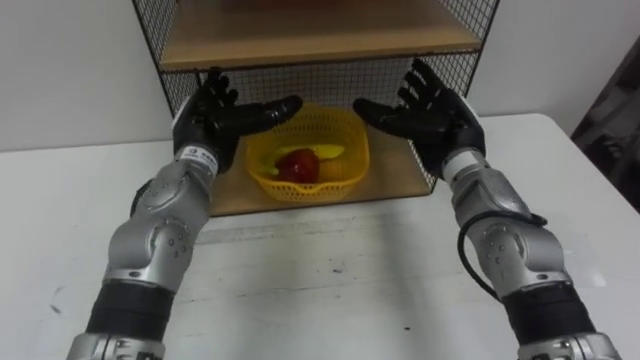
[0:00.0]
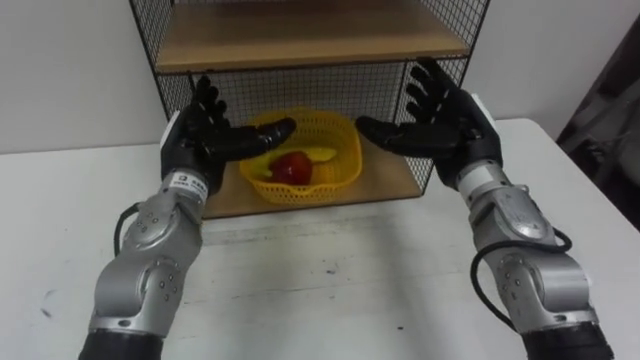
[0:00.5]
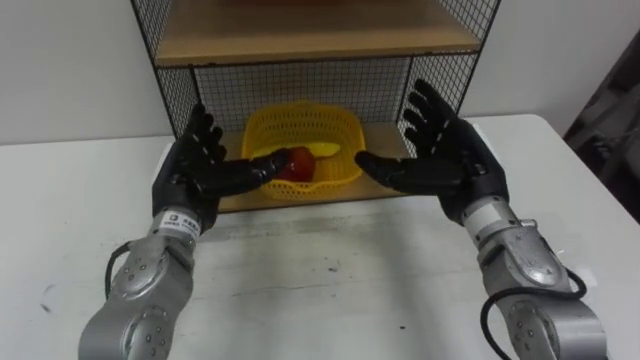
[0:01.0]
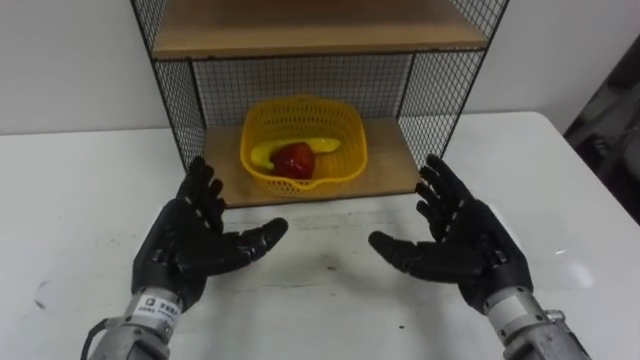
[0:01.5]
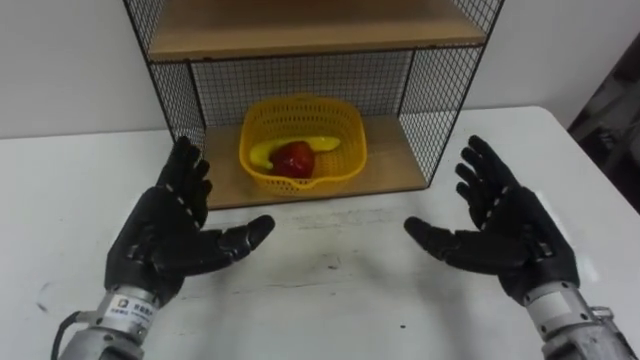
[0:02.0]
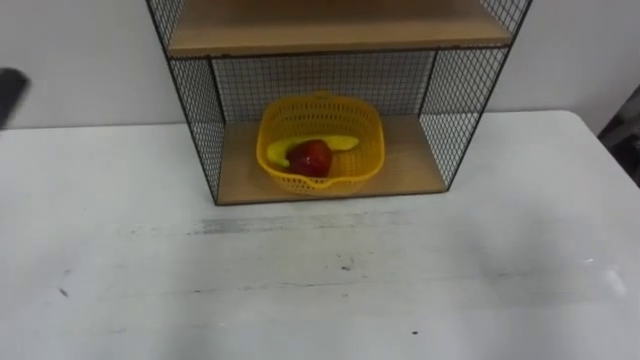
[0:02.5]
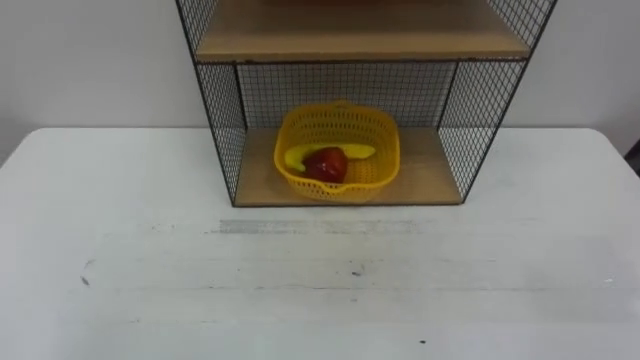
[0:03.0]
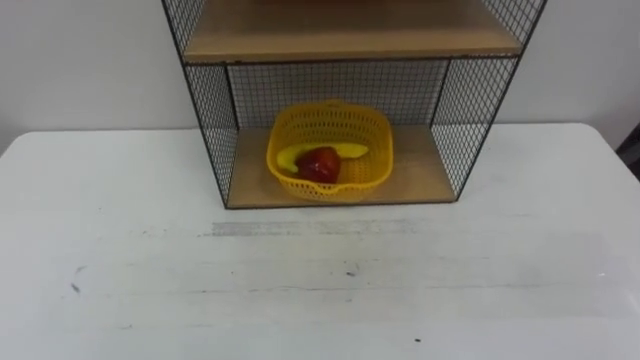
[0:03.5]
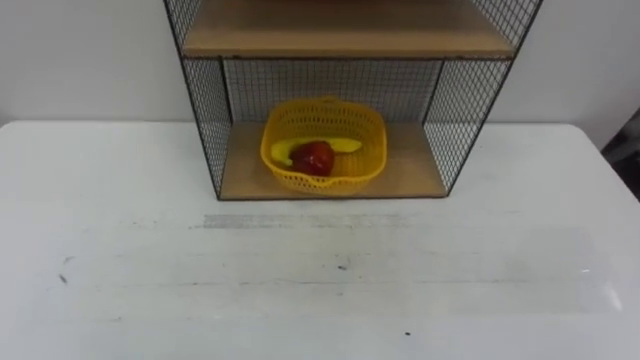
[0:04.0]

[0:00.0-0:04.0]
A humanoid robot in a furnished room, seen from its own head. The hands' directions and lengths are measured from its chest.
Task of the whole recording: Put the fruit on the table into the basket, then place the basket on the shelf.
0:00.0 to 0:02.0: The right hand is displaced backward and to the right by about 15 cm, while the left hand heads backward, covering some 15 cm.

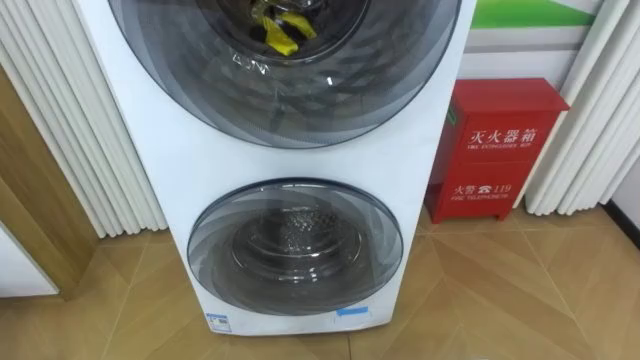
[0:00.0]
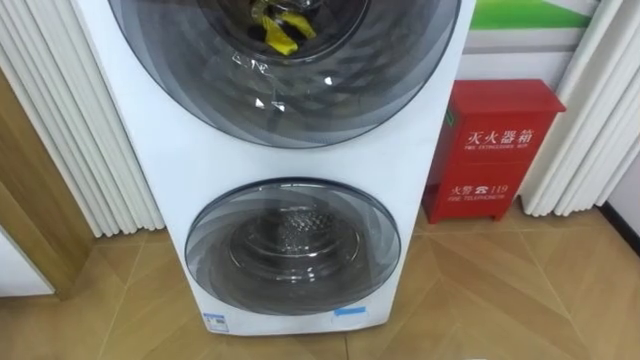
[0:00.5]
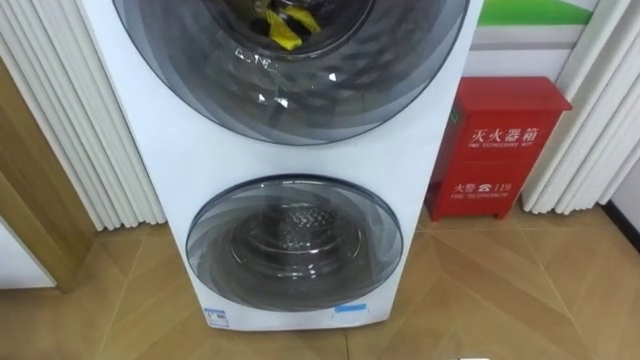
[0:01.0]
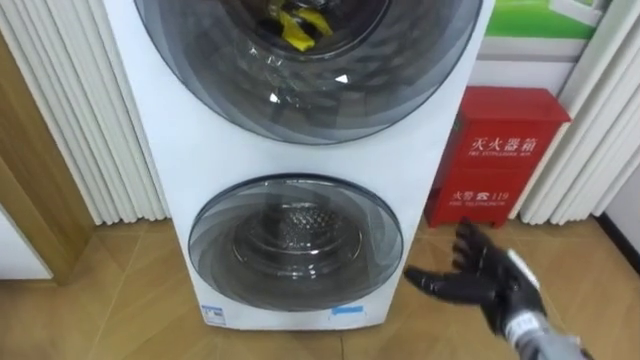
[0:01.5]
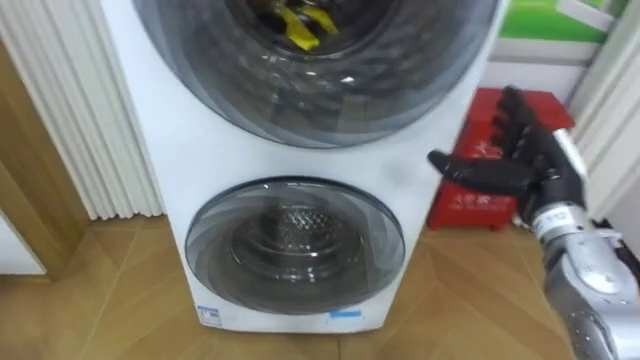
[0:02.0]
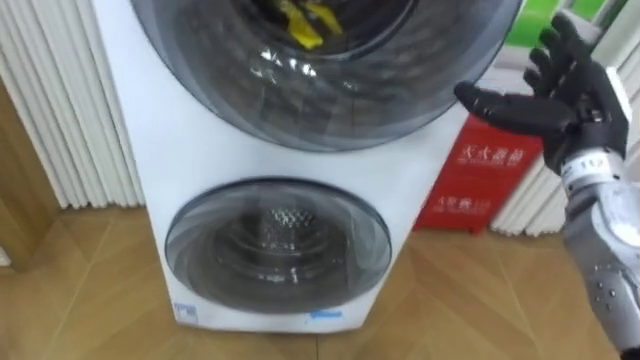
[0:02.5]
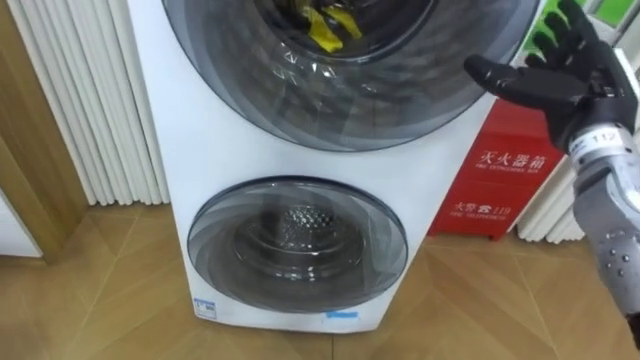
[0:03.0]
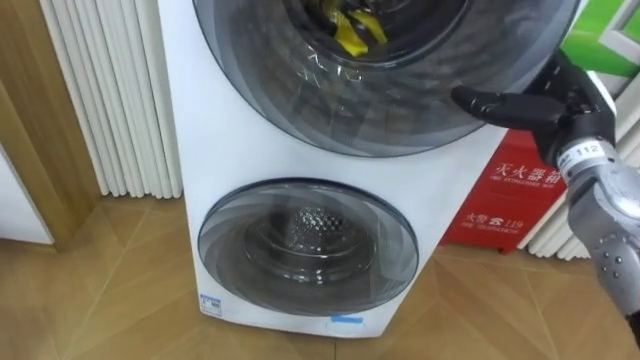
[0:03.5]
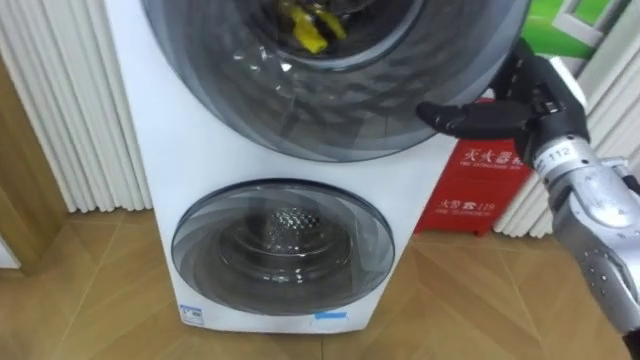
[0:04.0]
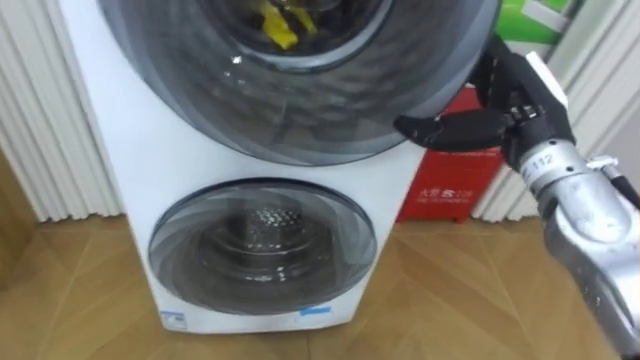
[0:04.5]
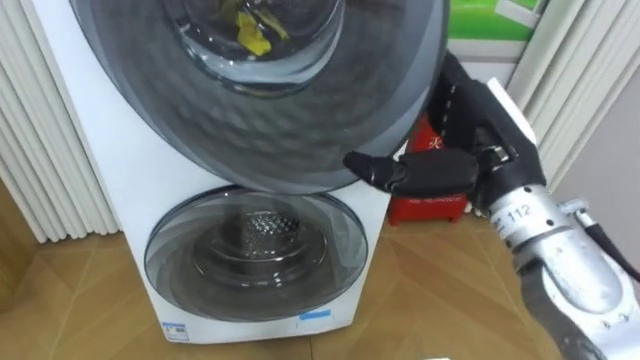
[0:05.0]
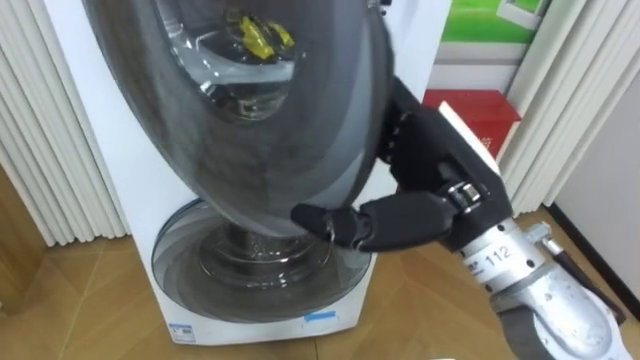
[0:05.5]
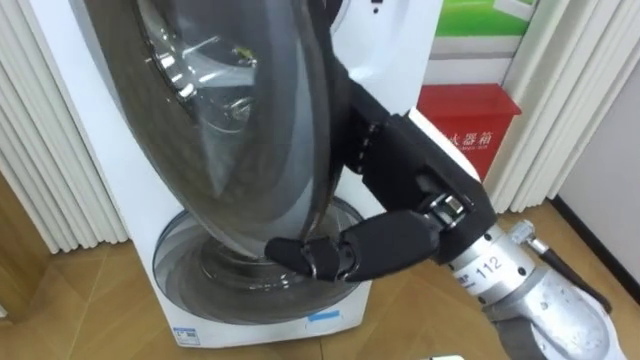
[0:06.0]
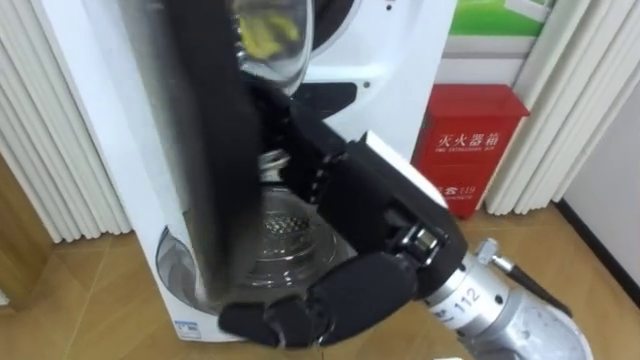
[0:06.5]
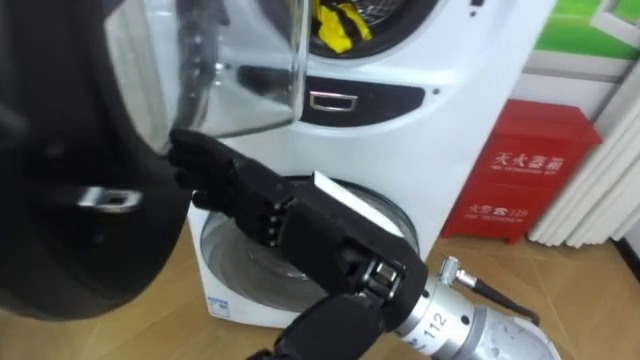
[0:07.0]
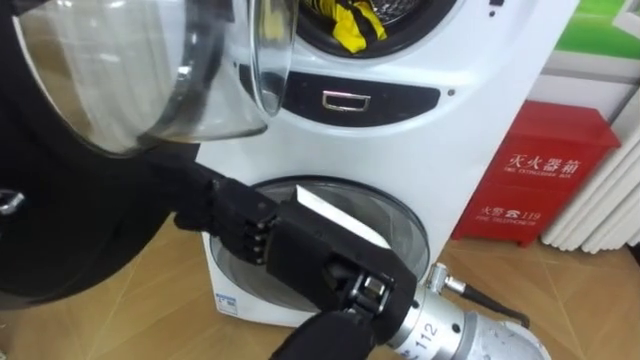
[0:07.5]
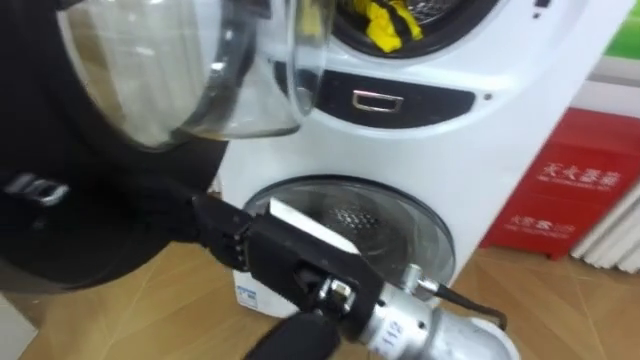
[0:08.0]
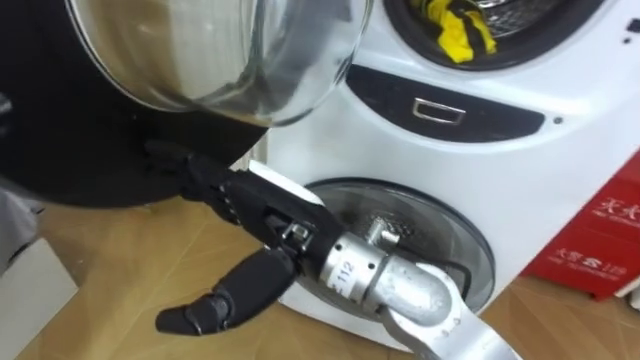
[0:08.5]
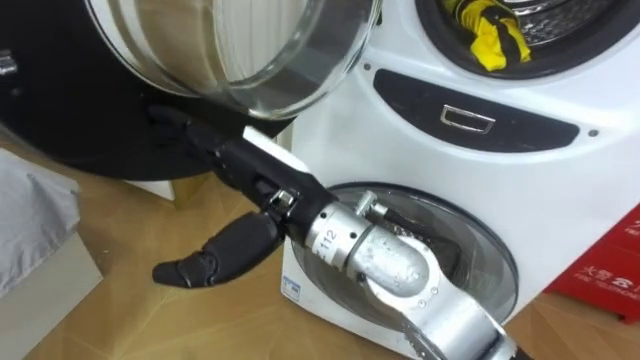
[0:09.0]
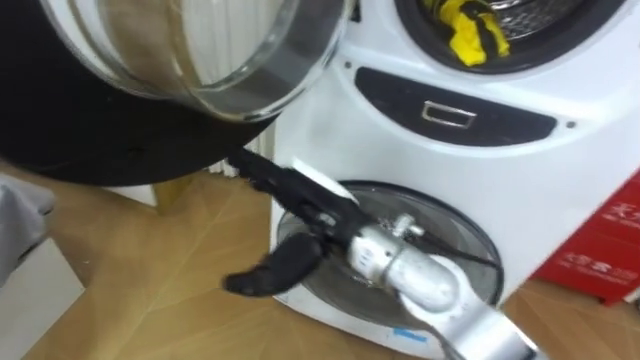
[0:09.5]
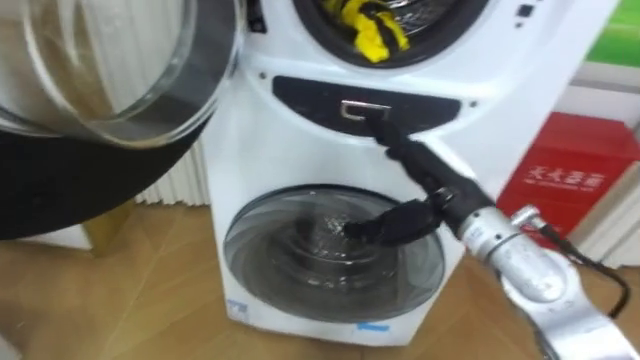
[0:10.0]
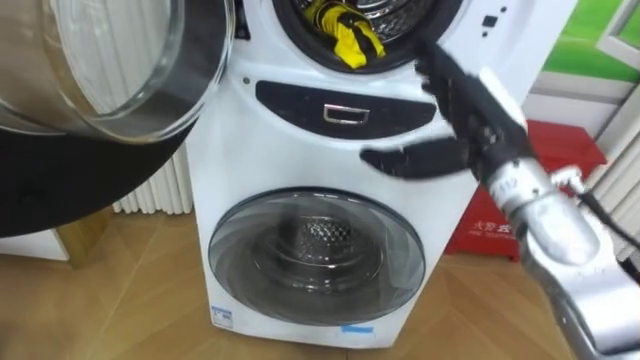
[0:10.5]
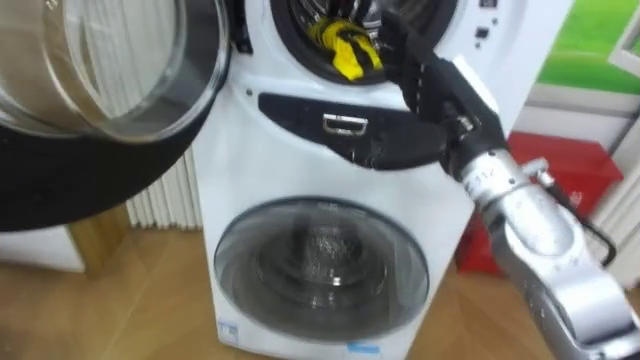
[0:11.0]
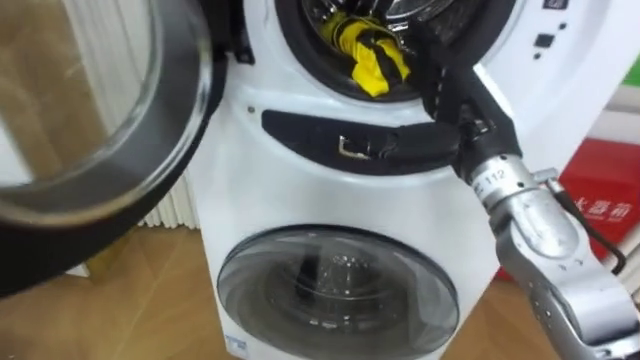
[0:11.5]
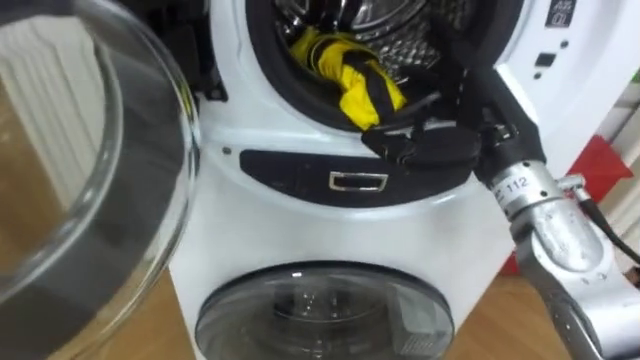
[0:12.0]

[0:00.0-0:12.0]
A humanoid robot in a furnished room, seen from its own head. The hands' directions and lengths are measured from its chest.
Task of the whole recording: Open the washing machine door, take out the yellow clothes, place them in the box on the right, and close the washing machine door.
0:02.0 to 0:04.0: The right hand is displaced upward by some 5 cm.
0:04.0 to 0:06.0: The right hand goes some 20 cm to the left and backward.
0:06.0 to 0:08.0: The right hand is displaced to the left and backward by some 10 cm.
0:08.0 to 0:10.0: The right hand heads forward and to the right, covering about 20 cm.
0:10.0 to 0:12.0: The right hand shifts some 5 cm upward.

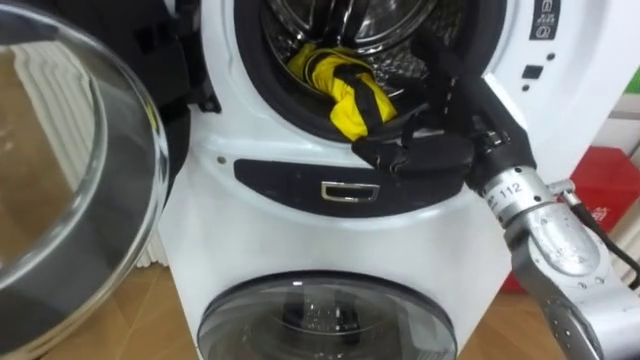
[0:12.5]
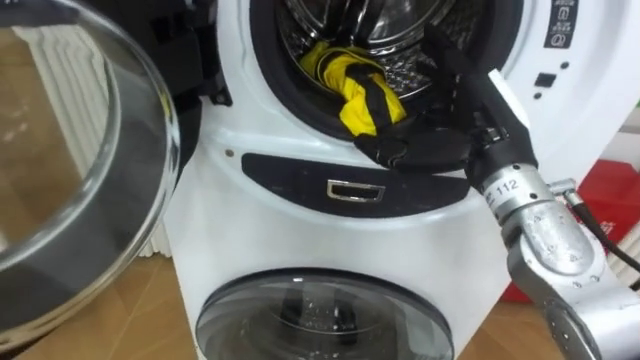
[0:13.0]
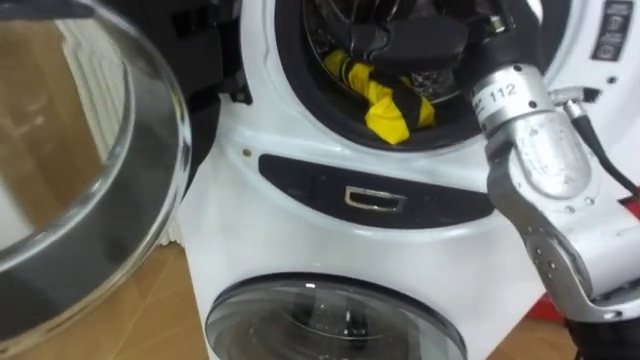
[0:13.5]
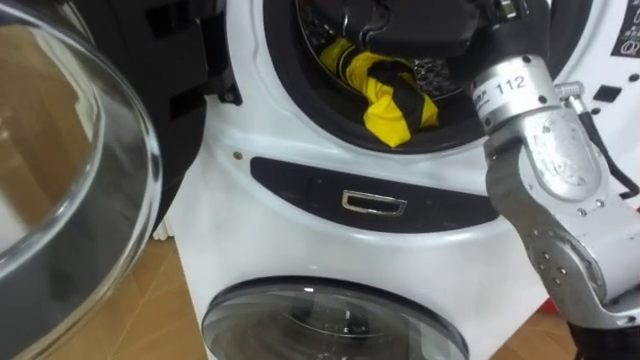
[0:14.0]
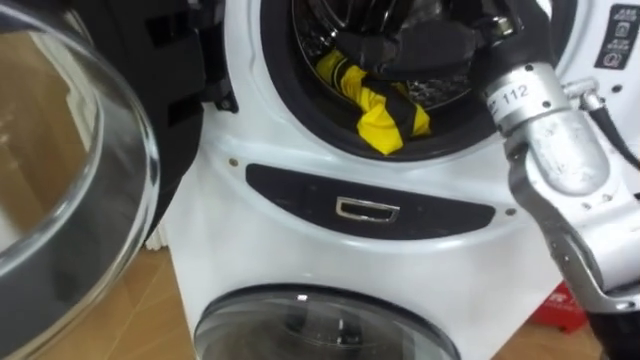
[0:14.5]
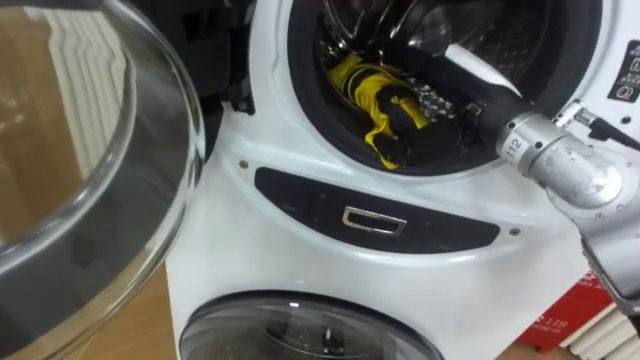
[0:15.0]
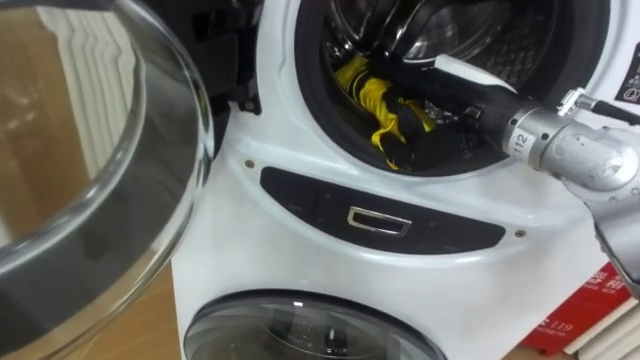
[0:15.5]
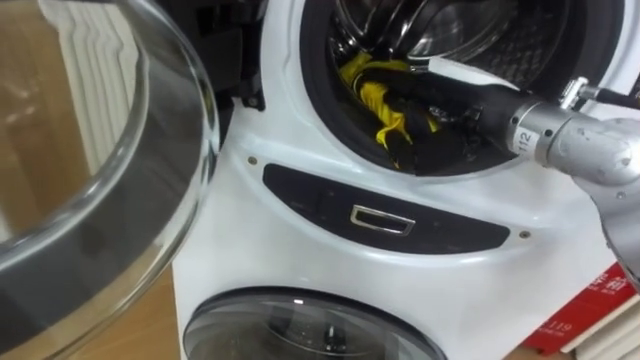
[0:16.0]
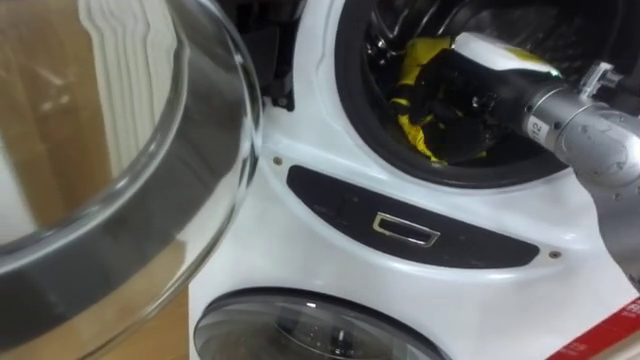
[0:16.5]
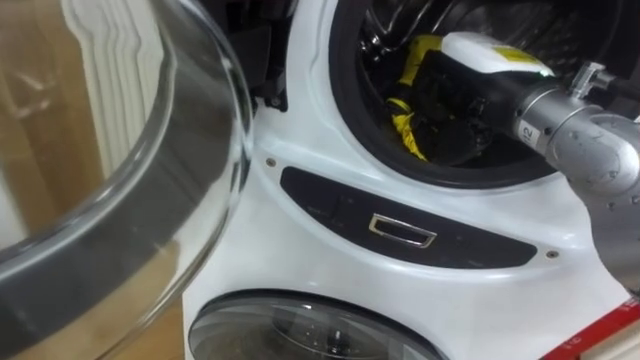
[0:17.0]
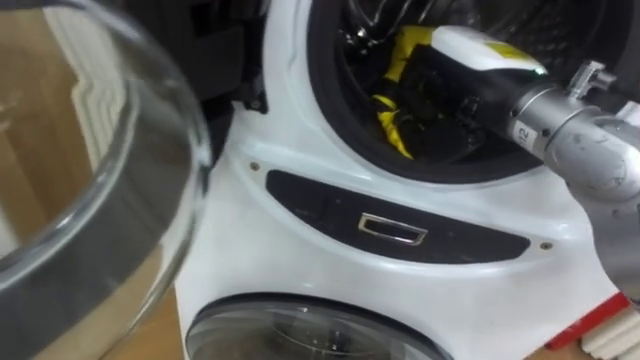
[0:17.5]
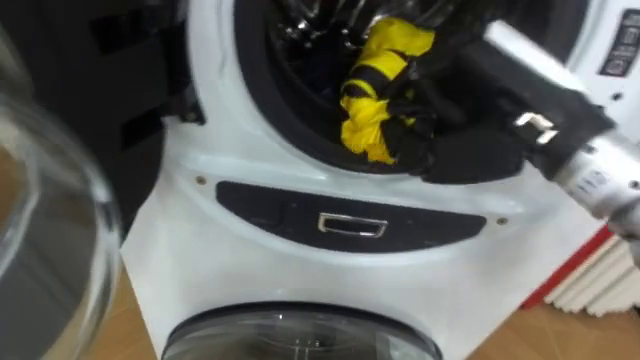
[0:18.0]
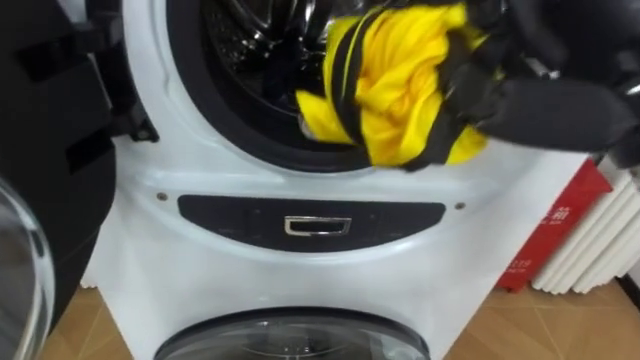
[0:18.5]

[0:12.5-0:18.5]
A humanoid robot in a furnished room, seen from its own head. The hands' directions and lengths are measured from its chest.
Task of the whole recording: Open the washing machine door, take out the yellow clothes, place them in the box on the right, and close the washing machine door.
0:12.5 to 0:14.5: The right hand goes about 10 cm upward.
0:14.5 to 0:16.5: The right hand travels downward by about 5 cm, and closes.
0:16.5 to 0:18.5: The right hand is displaced backward and upward by approximately 15 cm.
